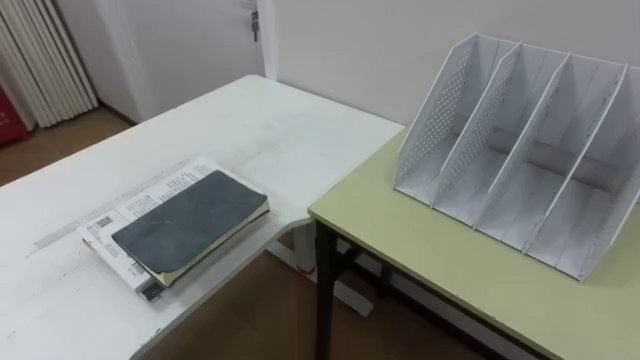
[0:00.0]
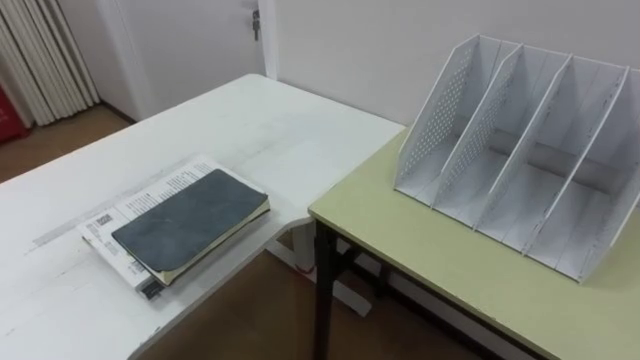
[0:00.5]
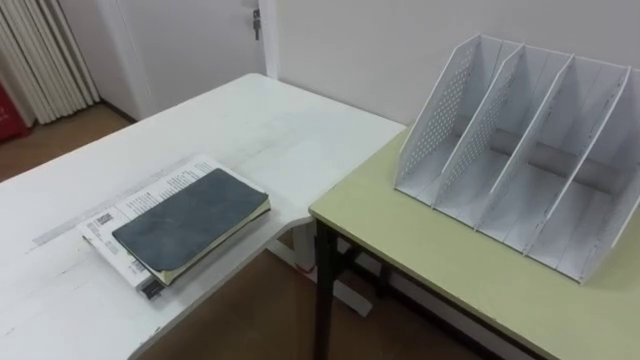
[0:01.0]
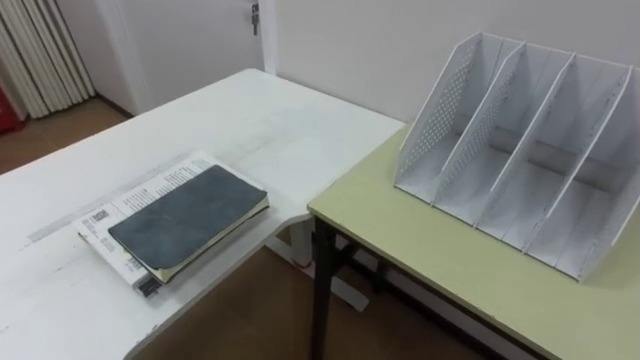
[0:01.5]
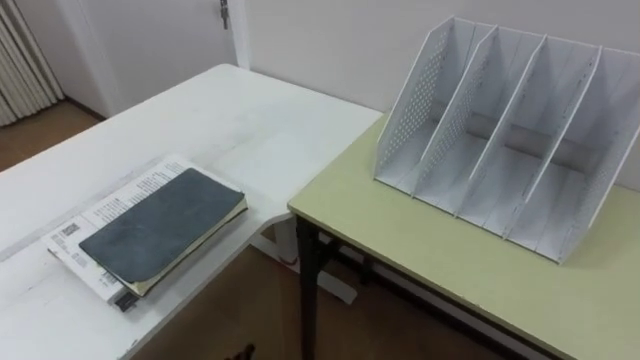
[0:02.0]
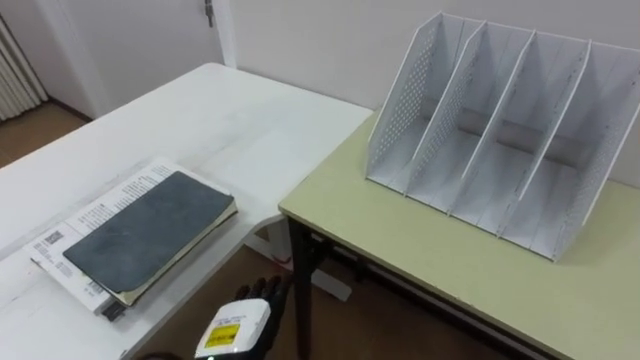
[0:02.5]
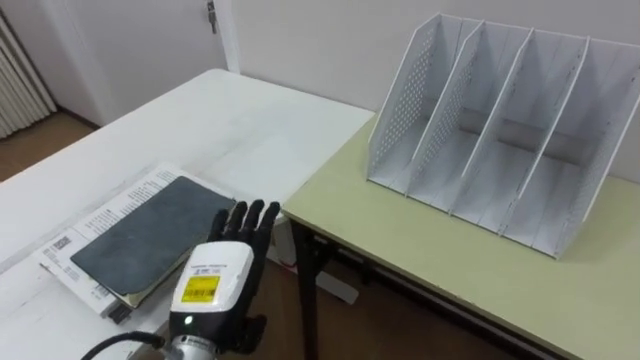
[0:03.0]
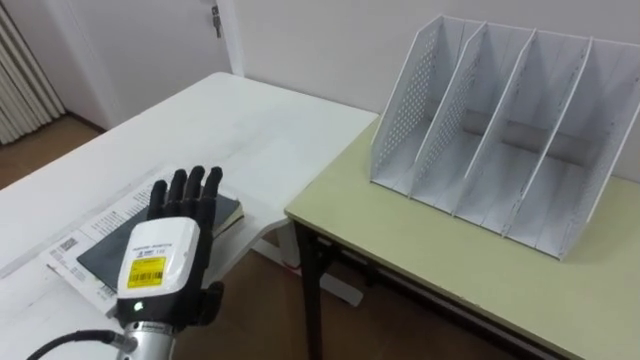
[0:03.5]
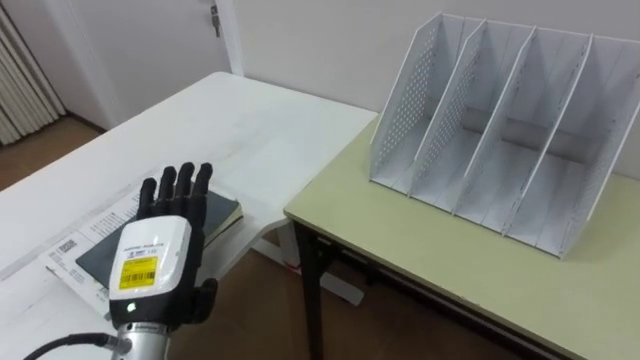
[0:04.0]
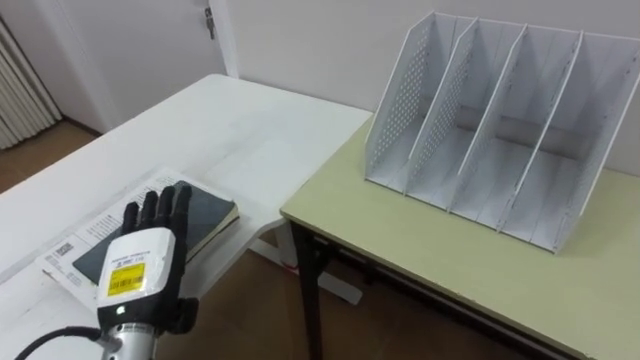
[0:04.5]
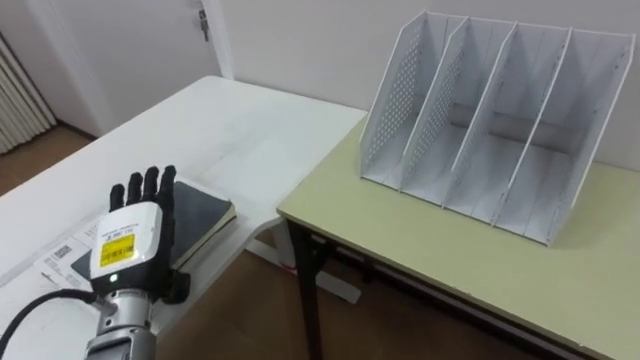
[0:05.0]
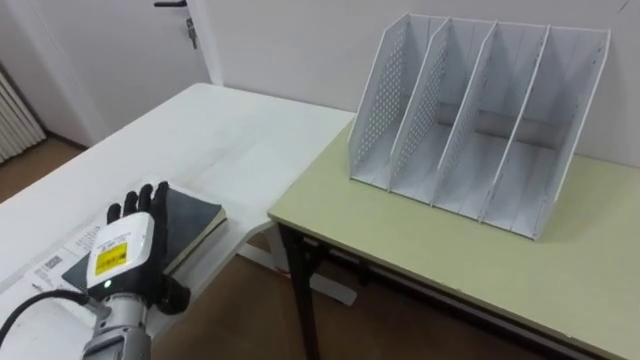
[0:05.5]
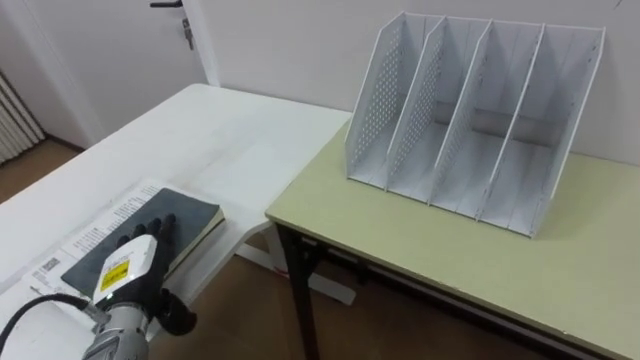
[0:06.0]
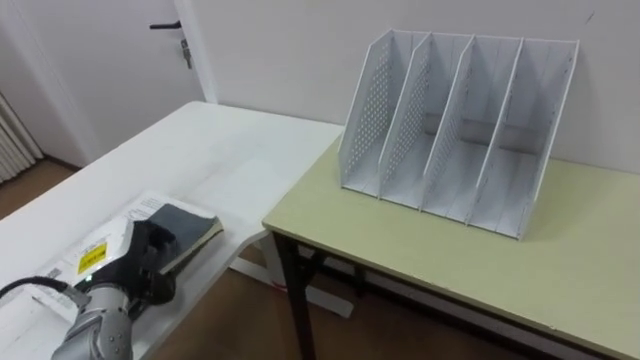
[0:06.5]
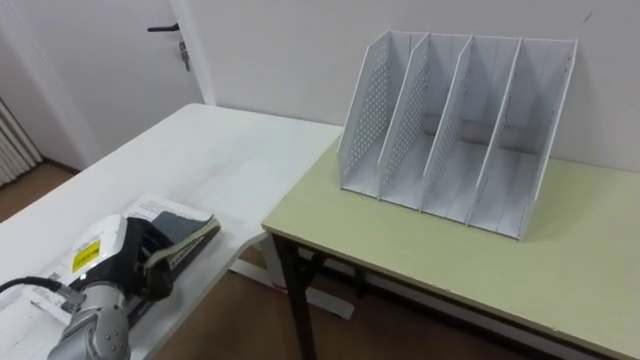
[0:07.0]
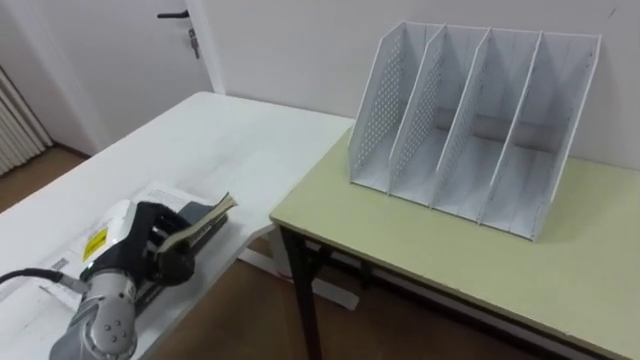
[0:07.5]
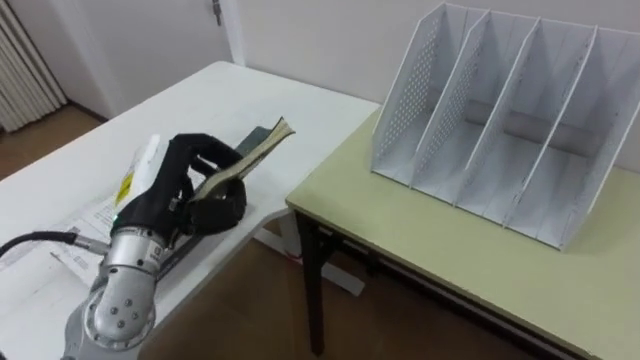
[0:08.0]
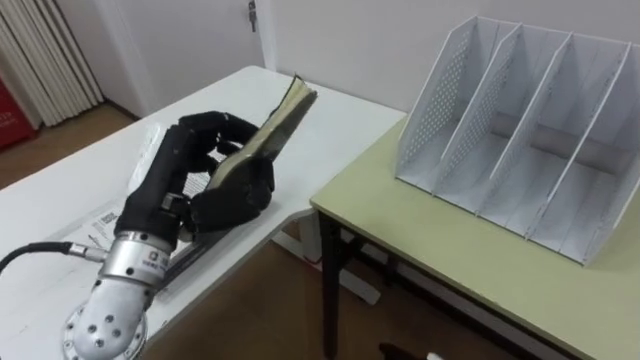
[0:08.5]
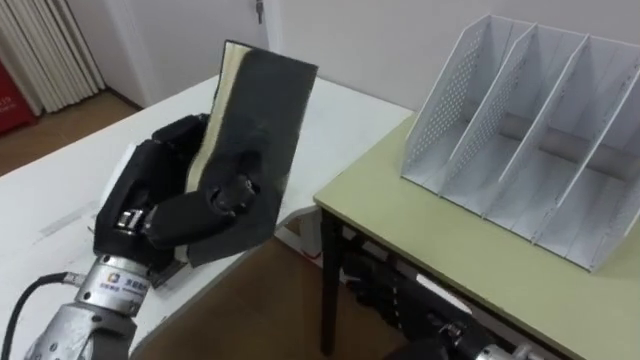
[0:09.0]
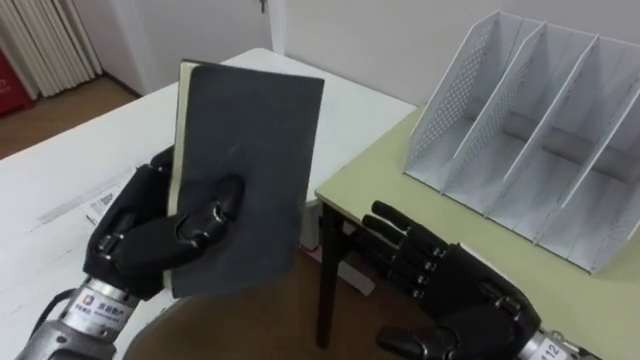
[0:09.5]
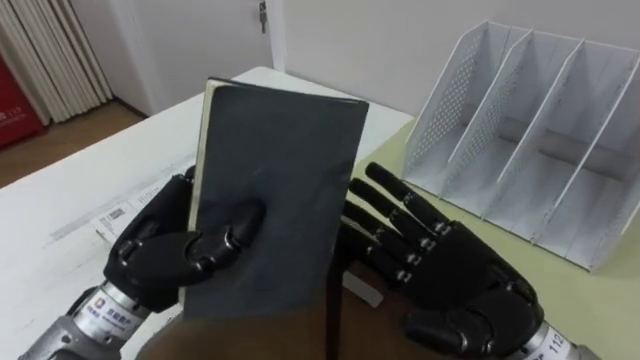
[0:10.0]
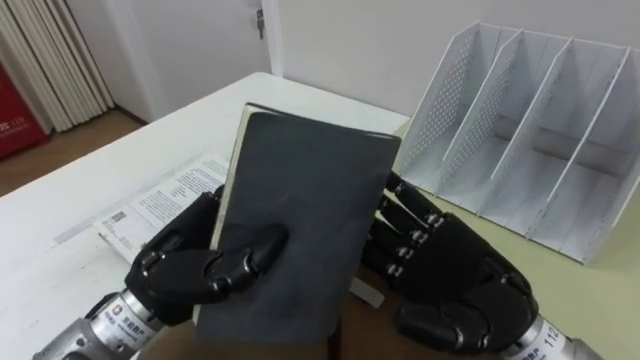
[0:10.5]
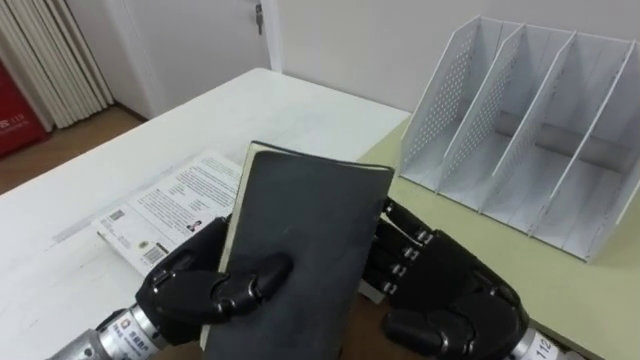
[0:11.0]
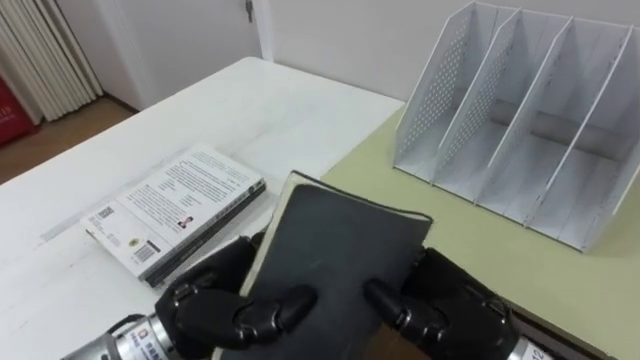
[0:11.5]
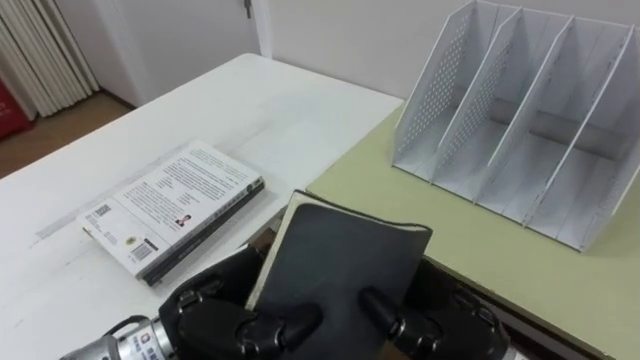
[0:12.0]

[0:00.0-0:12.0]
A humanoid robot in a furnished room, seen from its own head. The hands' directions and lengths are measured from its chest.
Task of the whole recording: Put the books on the table onto the bookshelf.
0:04.0 to 0:06.0: The left hand is displaced downward and to the left by about 10 cm.
0:06.0 to 0:08.0: The left hand shifts some 15 cm upward, and closes its fingers.
0:08.0 to 0:10.0: The left hand heads backward, covering roughly 5 cm.
0:10.0 to 0:12.0: The left hand is displaced downward by approximately 5 cm. Meanwhile the right hand closes up.

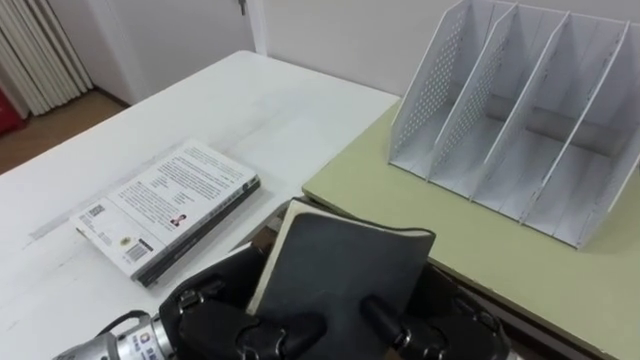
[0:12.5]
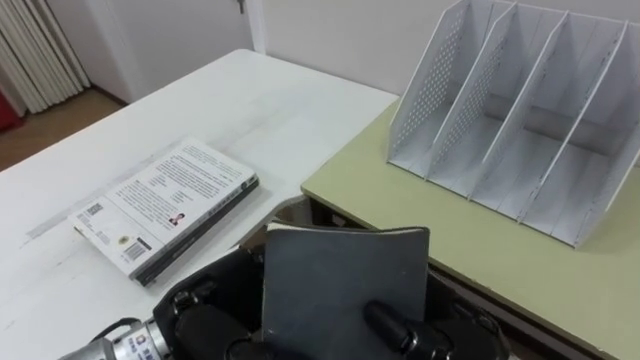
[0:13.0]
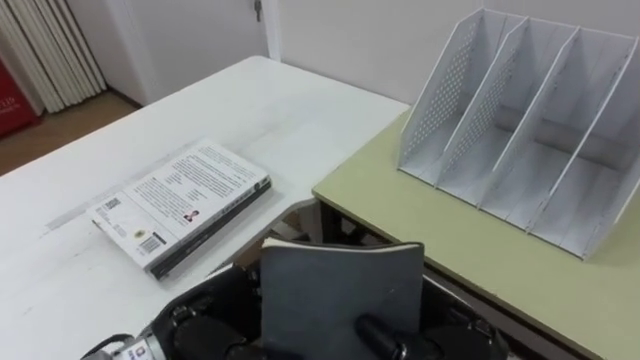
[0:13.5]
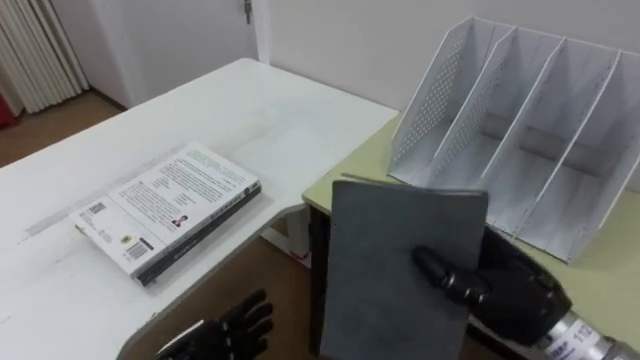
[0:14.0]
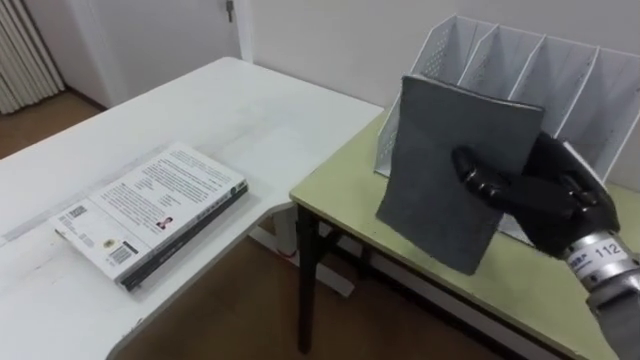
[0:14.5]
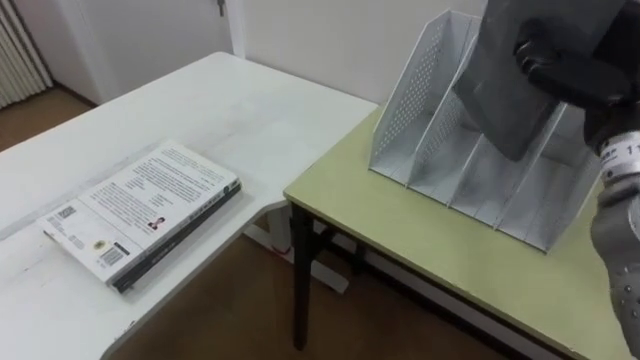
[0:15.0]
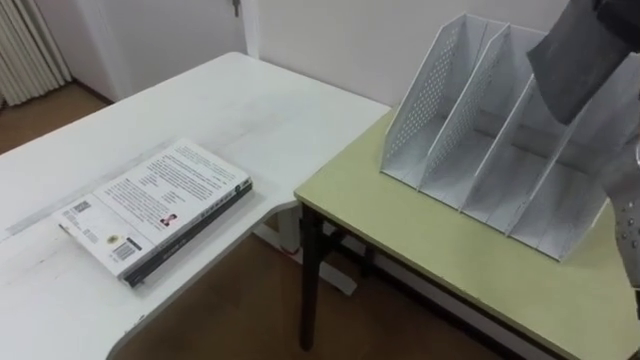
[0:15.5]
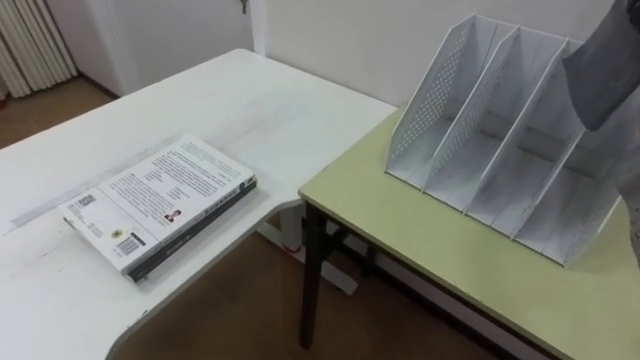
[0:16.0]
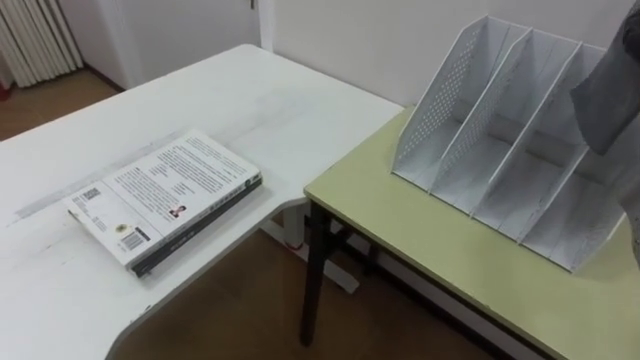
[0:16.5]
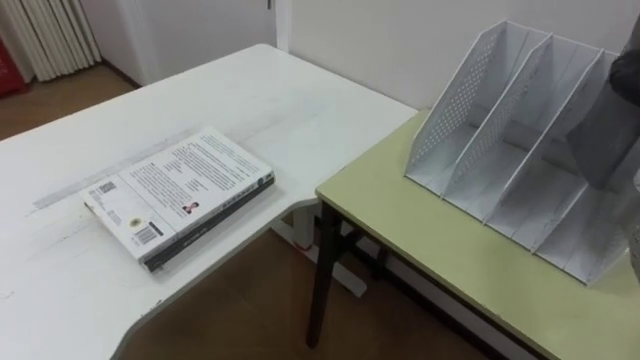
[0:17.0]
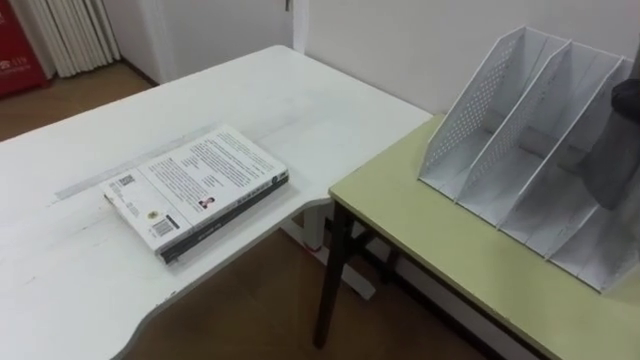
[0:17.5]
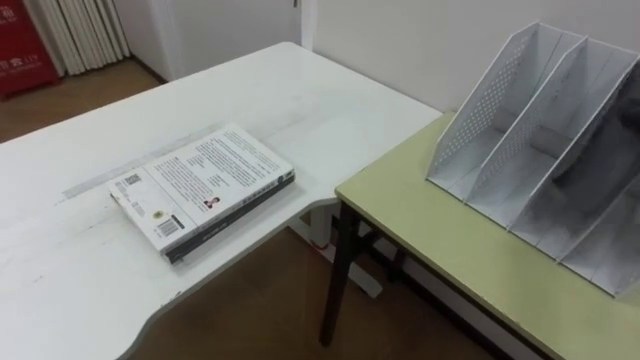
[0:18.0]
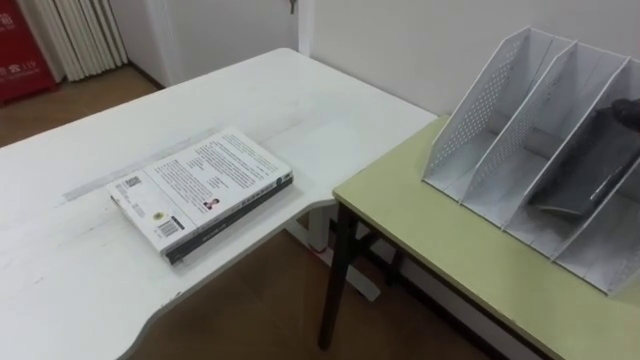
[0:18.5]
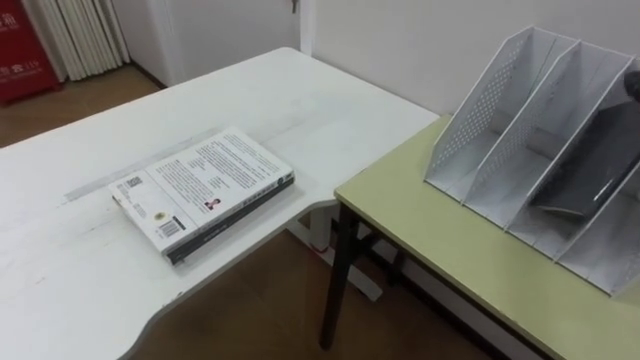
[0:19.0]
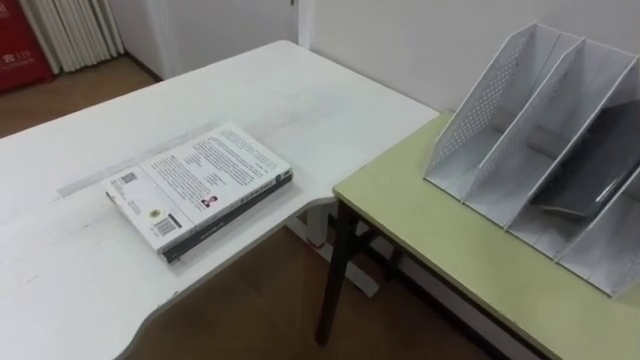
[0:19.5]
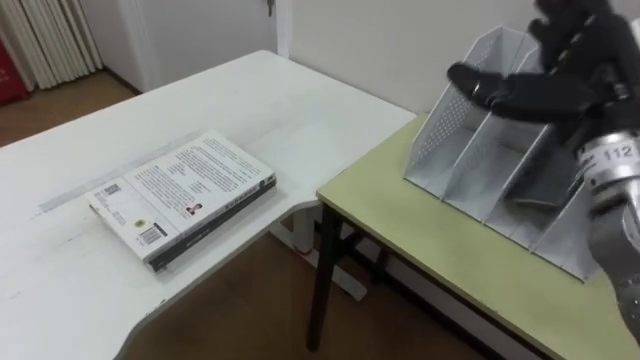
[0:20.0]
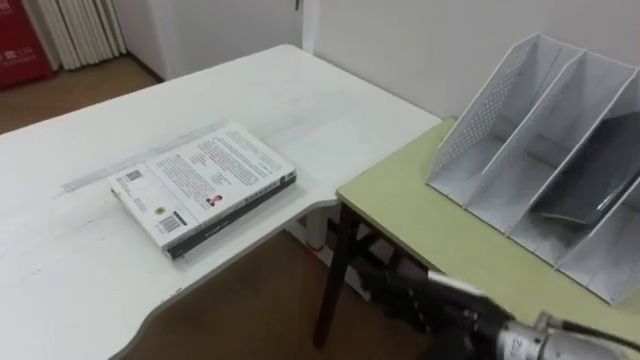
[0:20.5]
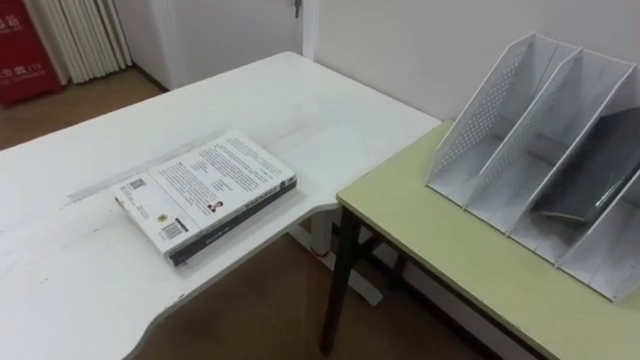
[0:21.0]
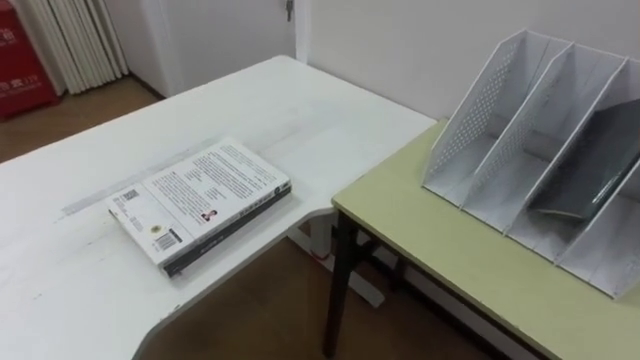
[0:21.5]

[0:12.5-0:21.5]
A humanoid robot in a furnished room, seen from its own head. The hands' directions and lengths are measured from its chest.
Task of the whole recording: Put the books on the table onto the bookshelf.
0:12.5 to 0:14.5: The right hand heads to the right, forward and upward, covering some 15 cm.
